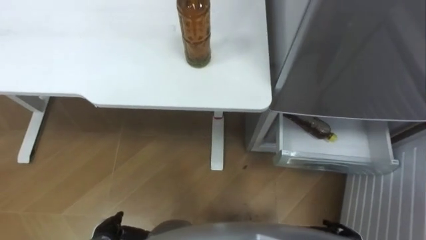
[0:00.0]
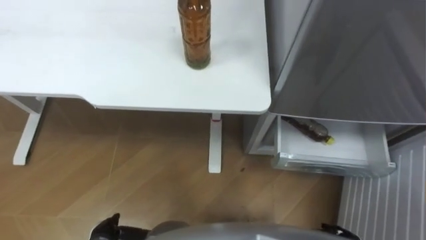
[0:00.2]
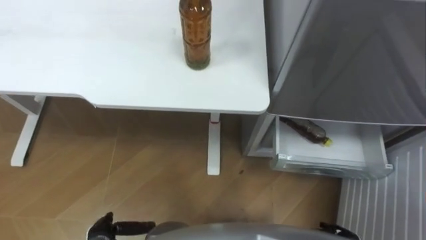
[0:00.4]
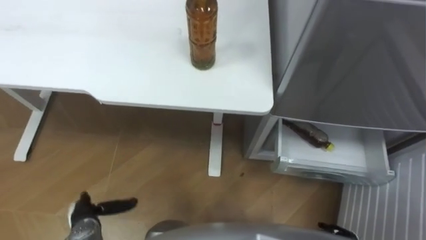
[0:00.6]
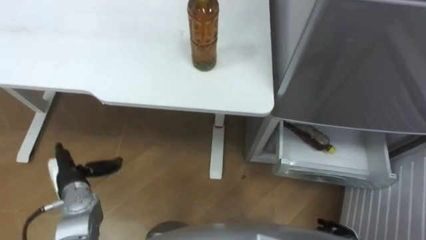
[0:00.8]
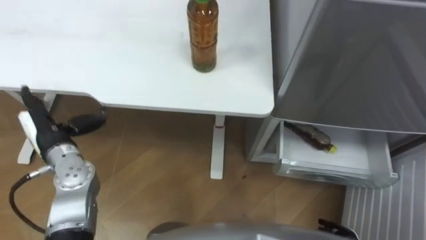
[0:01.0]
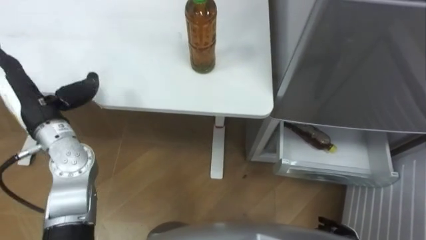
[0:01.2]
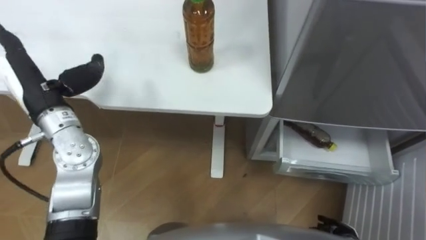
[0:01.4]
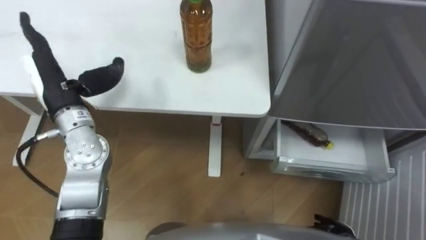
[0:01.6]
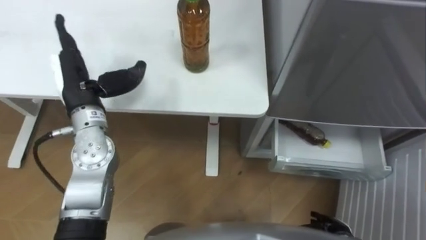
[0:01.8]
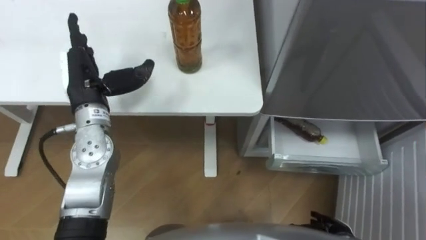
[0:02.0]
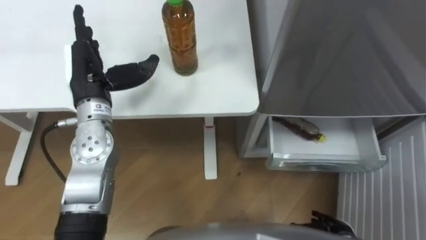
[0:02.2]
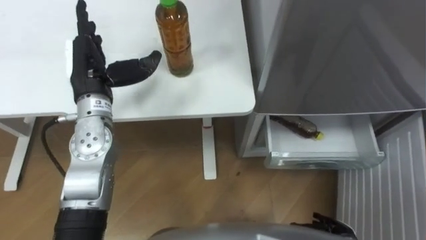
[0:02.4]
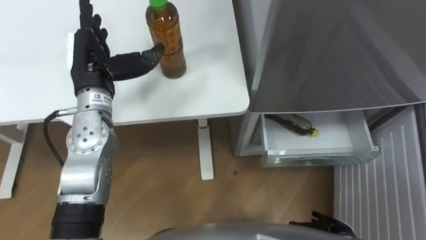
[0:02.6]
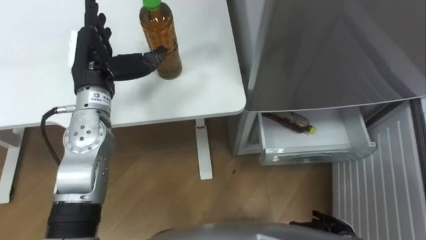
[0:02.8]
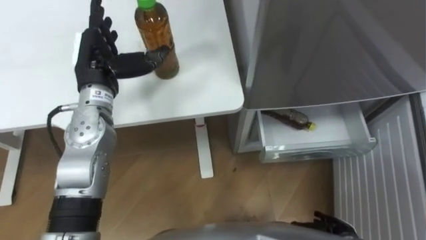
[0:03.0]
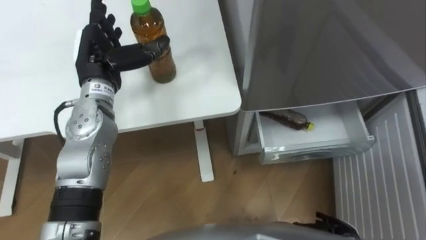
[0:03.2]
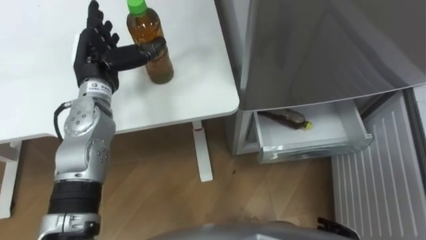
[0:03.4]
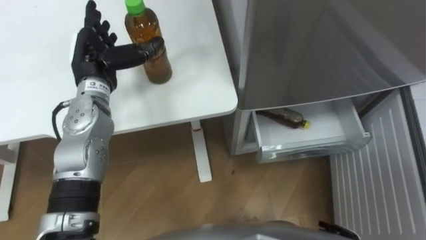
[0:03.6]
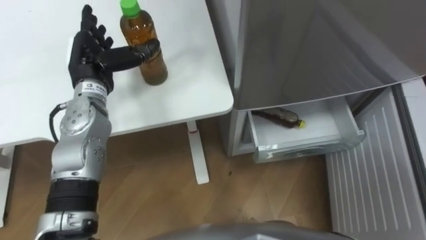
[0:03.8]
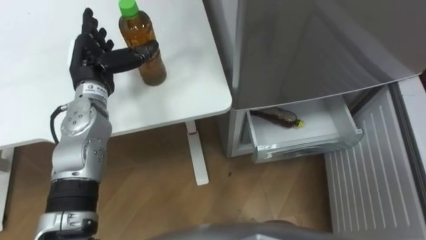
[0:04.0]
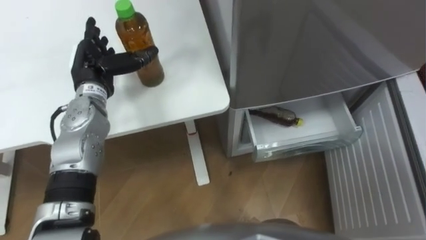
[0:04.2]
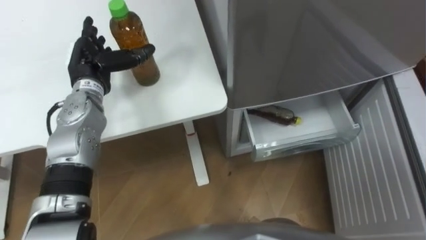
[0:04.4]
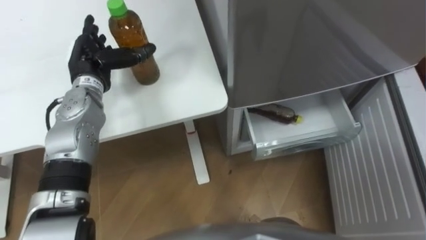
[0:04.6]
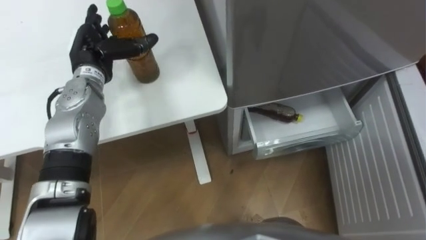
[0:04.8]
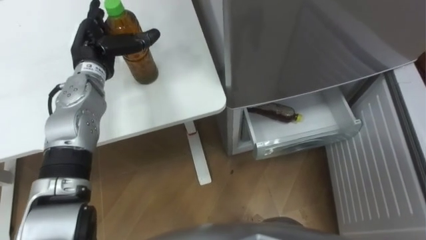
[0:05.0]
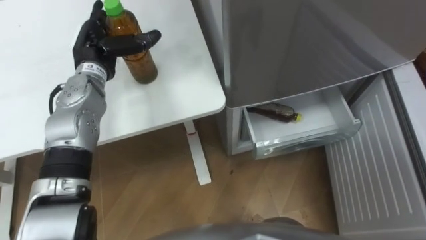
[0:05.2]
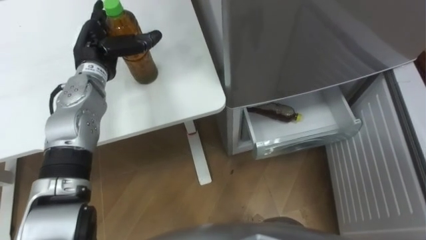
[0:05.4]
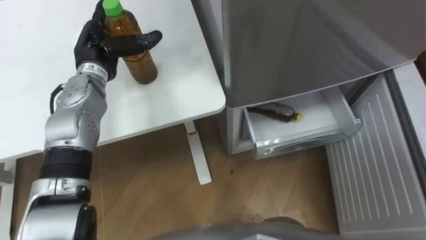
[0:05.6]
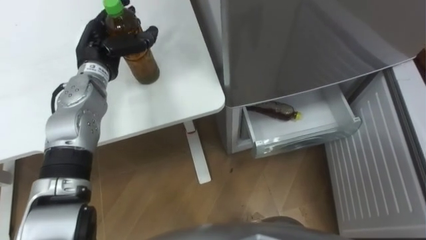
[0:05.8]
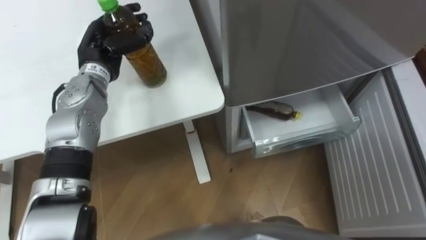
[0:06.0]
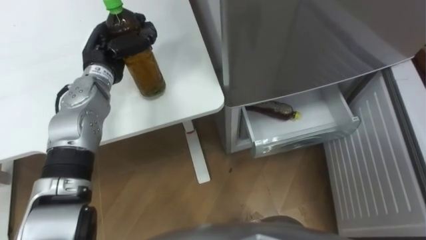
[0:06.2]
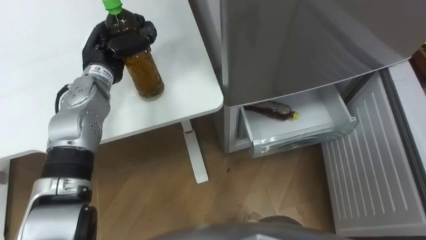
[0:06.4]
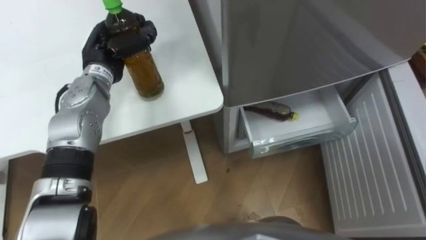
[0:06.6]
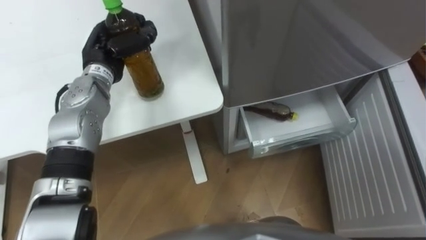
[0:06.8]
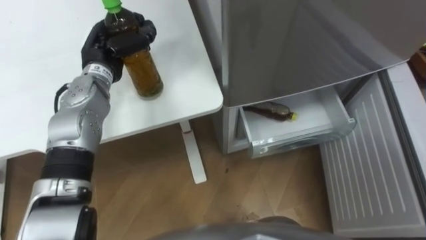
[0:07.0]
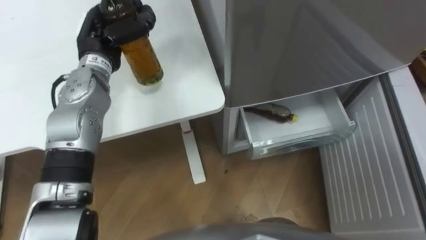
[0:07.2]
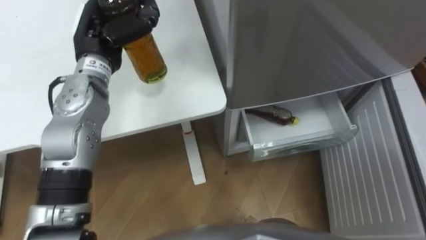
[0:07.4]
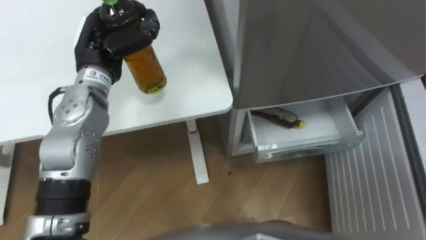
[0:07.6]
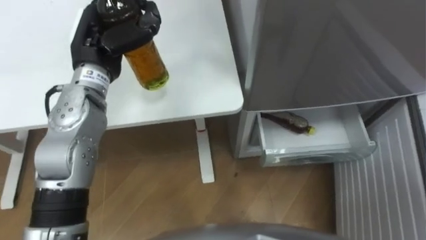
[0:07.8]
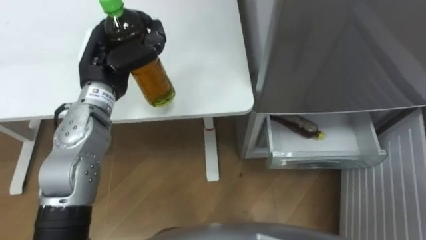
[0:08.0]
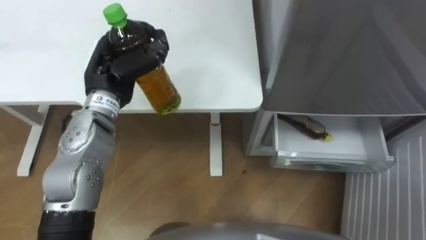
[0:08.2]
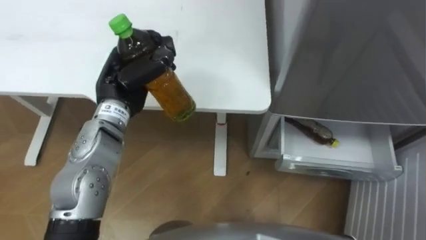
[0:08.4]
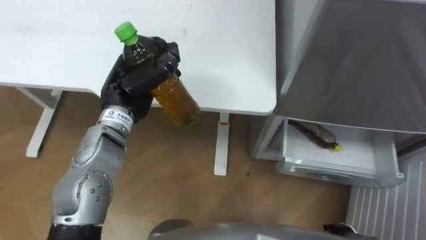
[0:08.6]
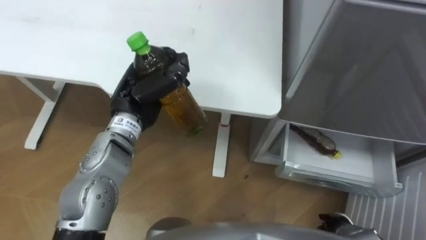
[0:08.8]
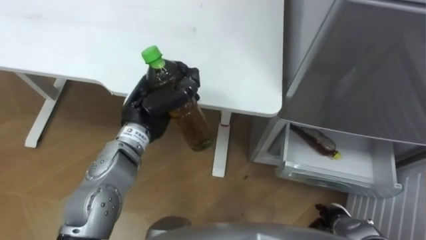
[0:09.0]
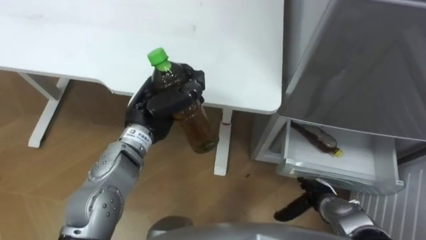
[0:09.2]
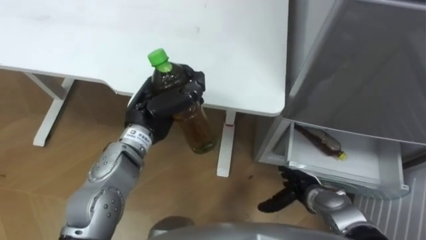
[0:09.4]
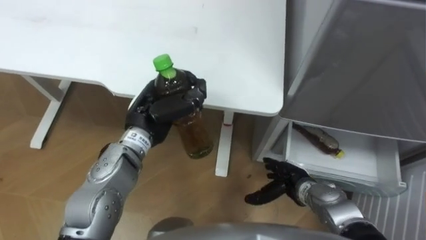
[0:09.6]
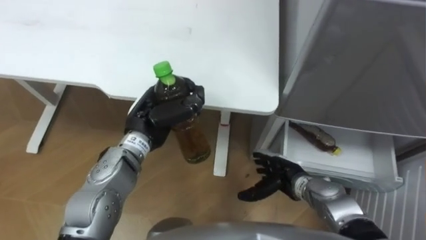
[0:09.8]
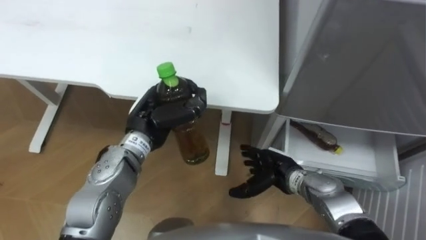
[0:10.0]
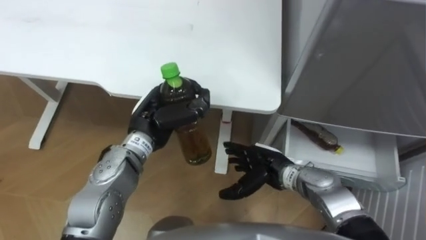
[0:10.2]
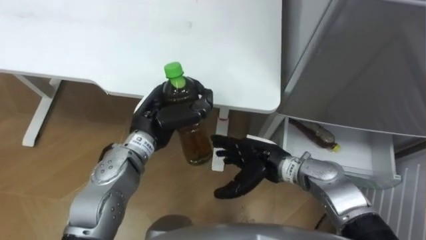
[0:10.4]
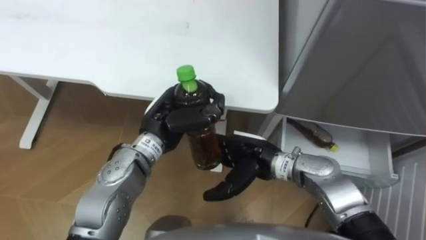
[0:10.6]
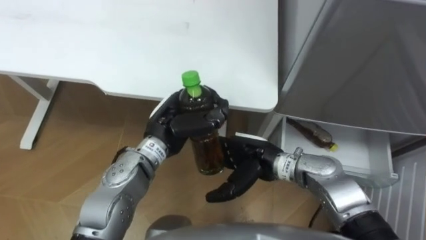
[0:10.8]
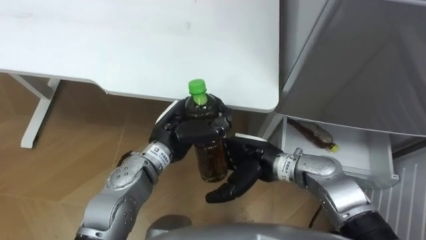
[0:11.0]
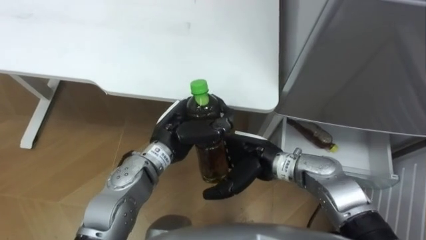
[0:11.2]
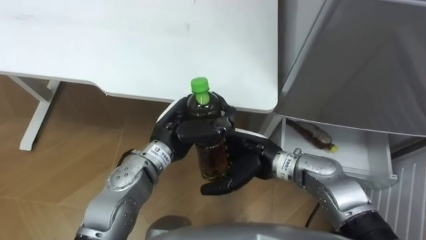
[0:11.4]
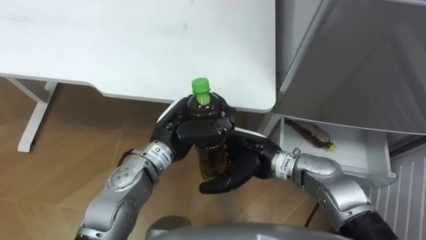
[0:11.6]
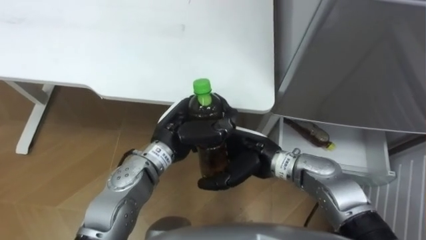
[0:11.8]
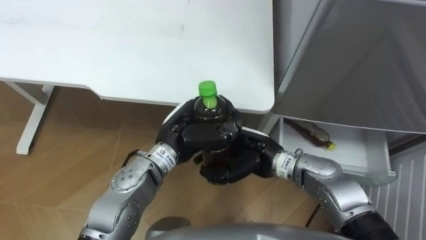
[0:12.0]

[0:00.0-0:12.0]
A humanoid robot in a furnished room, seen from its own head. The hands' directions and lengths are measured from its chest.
Task of the whole recording: Place the drink on the table on the bottom shelf of the refrigerator, then close the drawer and the refrigerator door.
0:00.0 to 0:01.6: The left hand goes some 35 cm upward and forward.
0:01.6 to 0:03.0: The left hand goes some 5 cm to the right.
0:03.0 to 0:04.4: The left hand changes place by approximately 5 cm.
0:04.4 to 0:06.0: The left hand closes.
0:06.0 to 0:07.6: The left hand shifts by roughly 5 cm.
0:07.6 to 0:09.0: The left hand goes approximately 10 cm backward, to the right and downward.
0:09.0 to 0:10.4: The right hand heads to the left, upward and forward, covering some 25 cm.
0:10.4 to 0:12.0: The left hand goes approximately 5 cm to the right, while the right hand ends up some 5 cm from where it was.

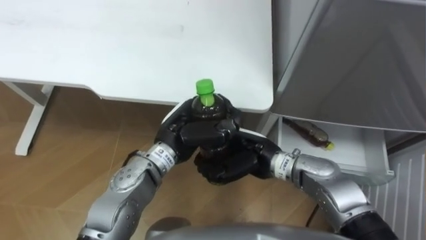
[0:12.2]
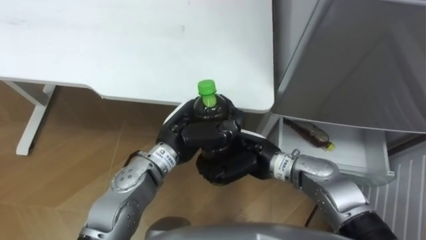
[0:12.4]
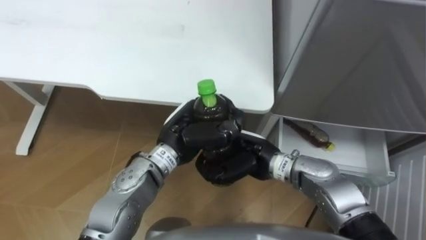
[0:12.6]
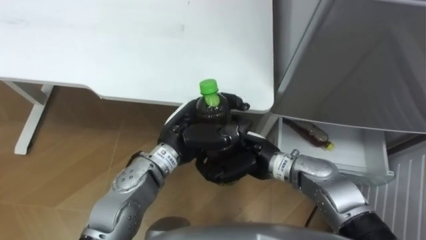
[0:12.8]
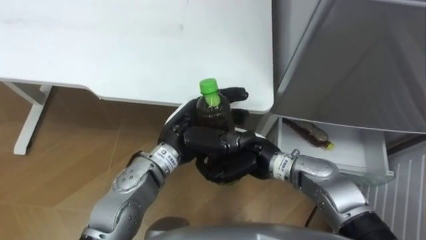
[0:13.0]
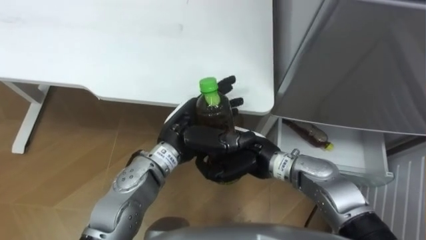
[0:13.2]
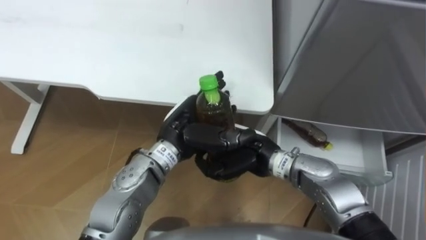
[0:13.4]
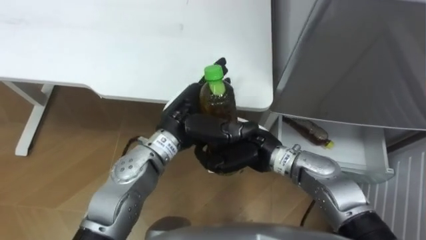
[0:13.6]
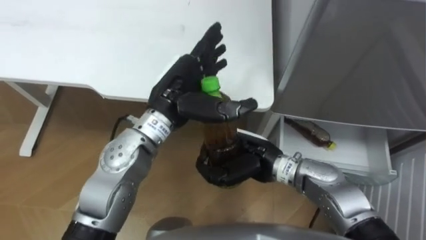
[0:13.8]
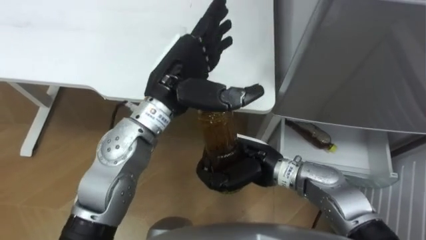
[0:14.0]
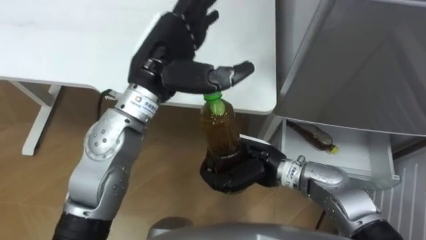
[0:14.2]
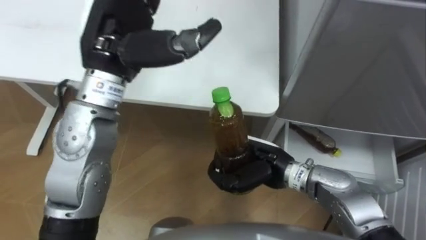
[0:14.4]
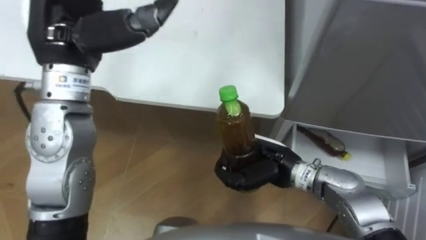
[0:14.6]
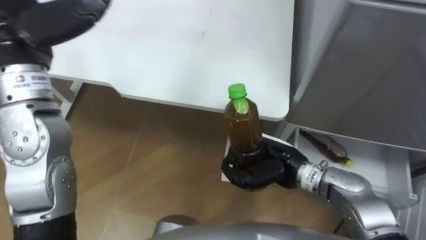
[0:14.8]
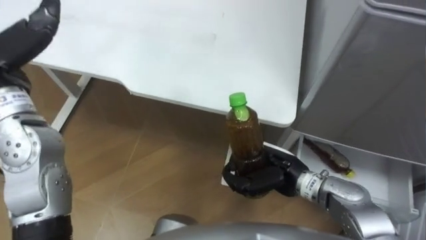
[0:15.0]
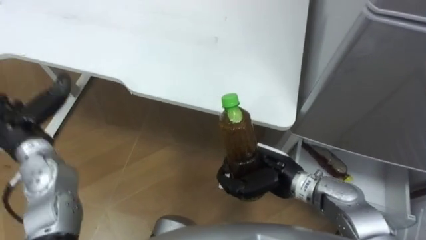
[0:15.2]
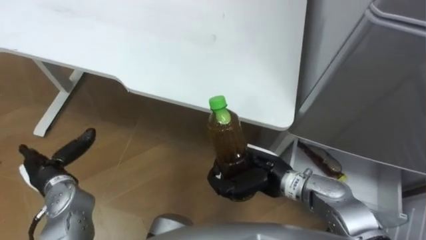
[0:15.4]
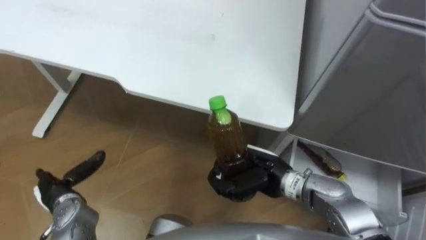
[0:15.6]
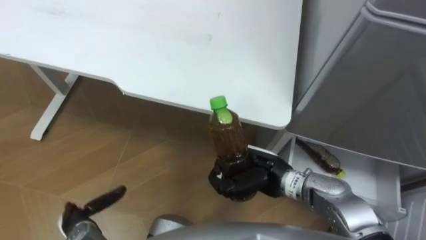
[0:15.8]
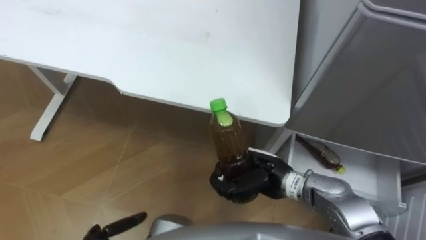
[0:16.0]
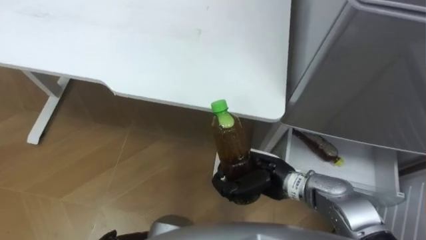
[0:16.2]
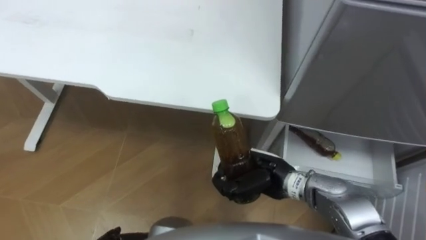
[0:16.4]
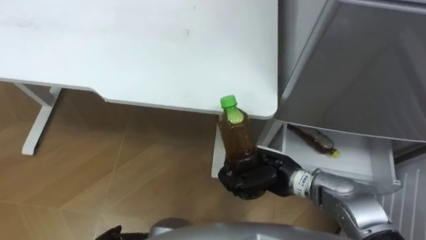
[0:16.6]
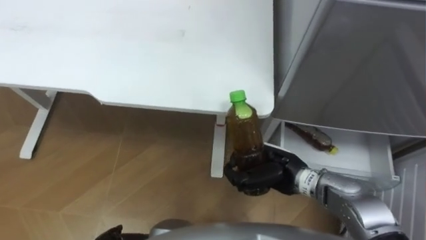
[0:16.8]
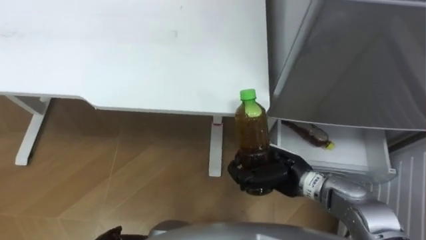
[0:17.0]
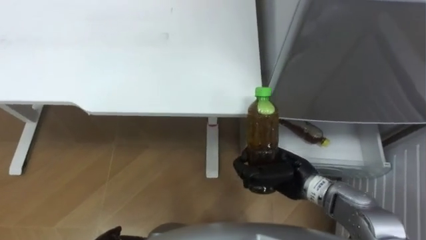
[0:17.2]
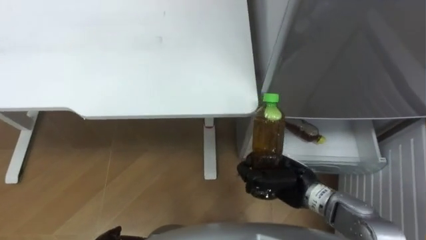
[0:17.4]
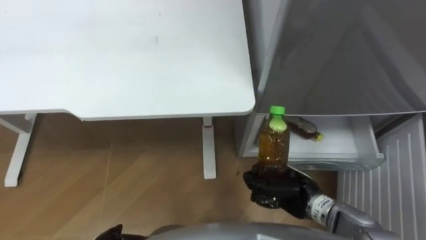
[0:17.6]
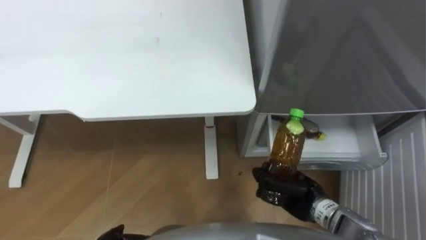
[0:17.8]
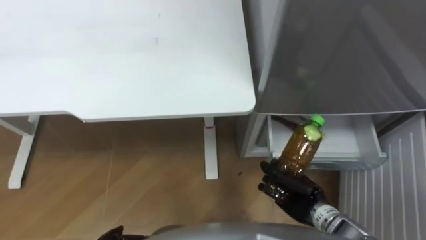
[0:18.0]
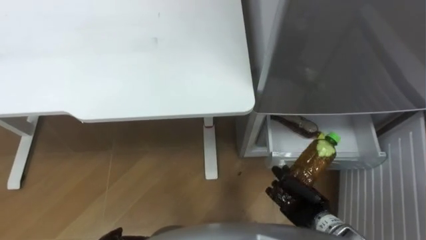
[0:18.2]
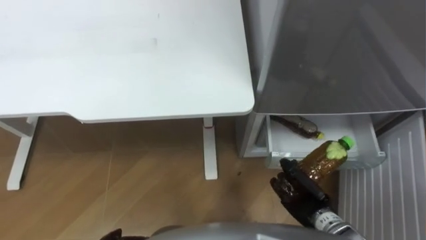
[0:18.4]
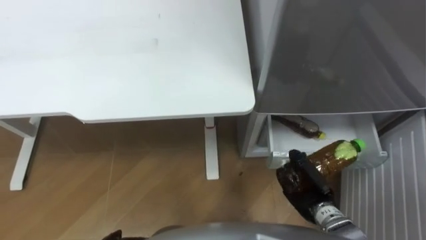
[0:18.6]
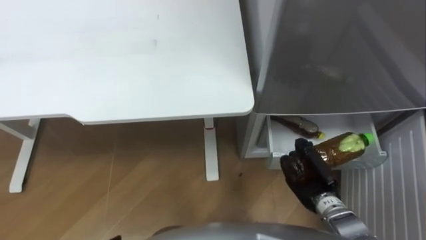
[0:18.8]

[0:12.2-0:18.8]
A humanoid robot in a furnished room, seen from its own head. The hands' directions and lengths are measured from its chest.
Task of the whole recording: Place the drink on the table on the bottom shelf of the refrigerator, then close the drawer and the refrigerator door.
0:12.2 to 0:13.8: The left hand goes some 10 cm upward, and opens its fingers.
0:15.4 to 0:17.2: The right hand heads to the right, covering some 5 cm.
0:17.2 to 0:18.8: The right hand heads to the right and downward, covering approximately 10 cm.
